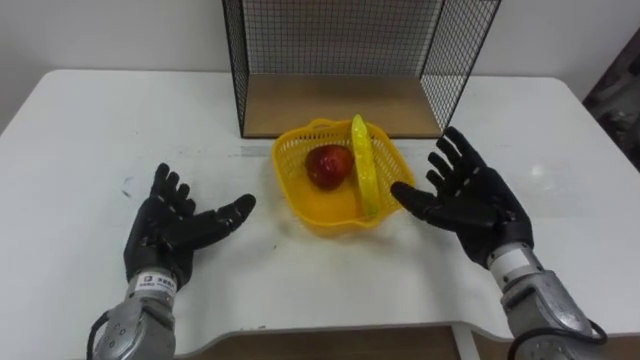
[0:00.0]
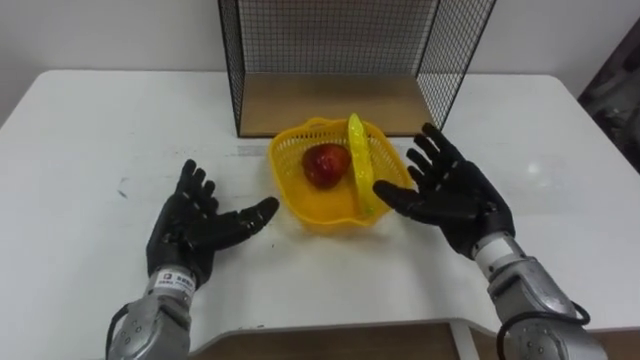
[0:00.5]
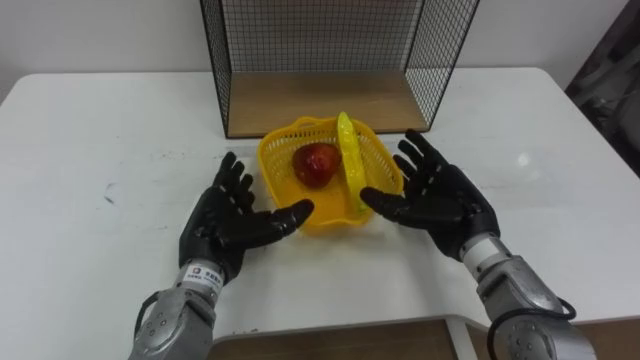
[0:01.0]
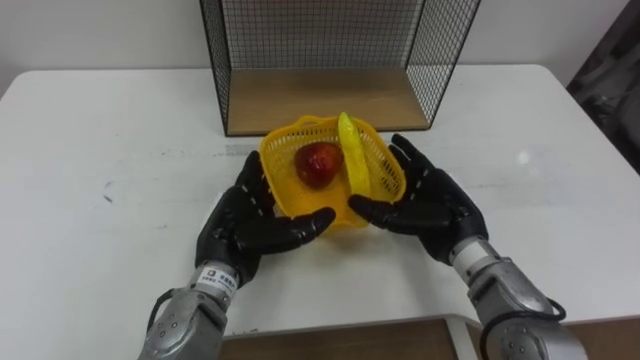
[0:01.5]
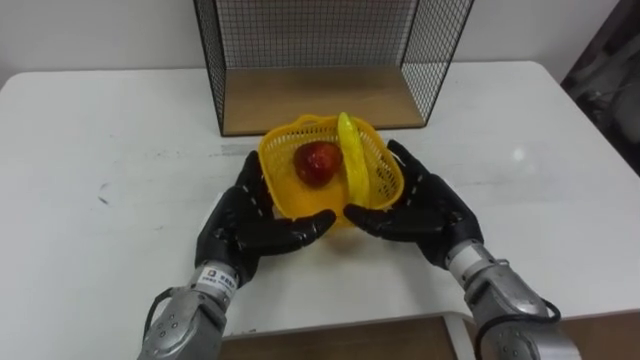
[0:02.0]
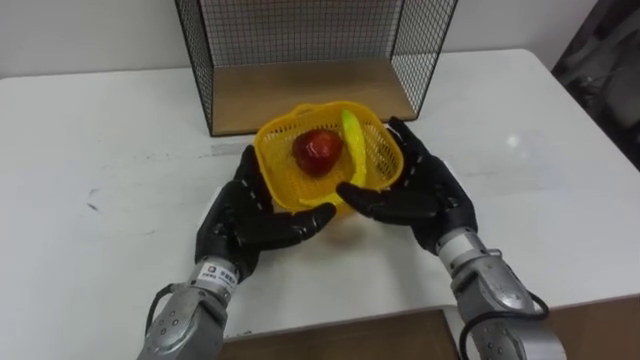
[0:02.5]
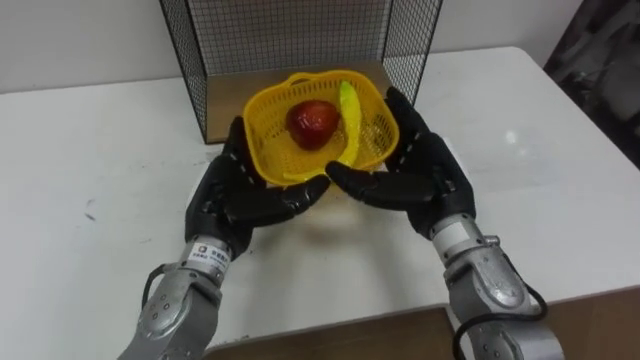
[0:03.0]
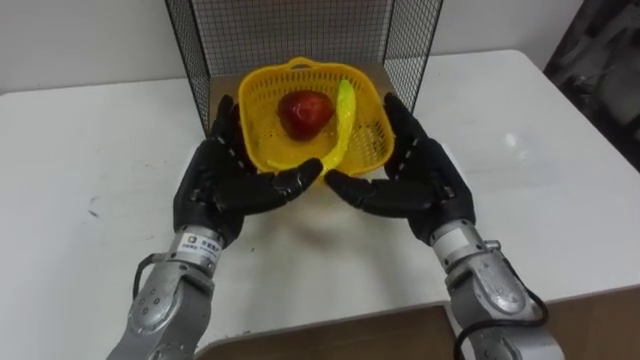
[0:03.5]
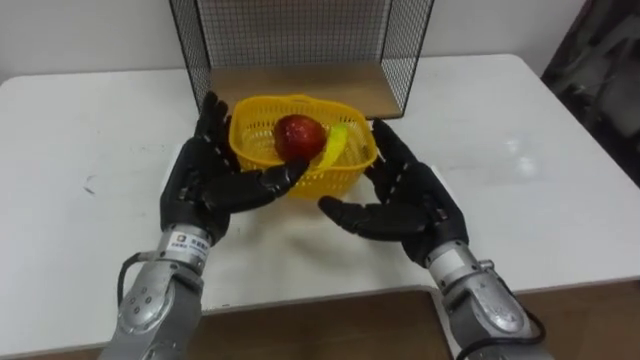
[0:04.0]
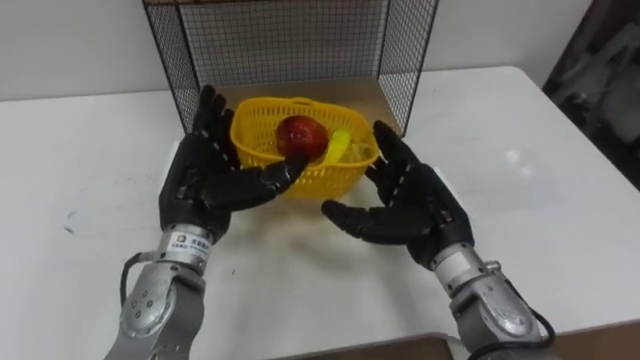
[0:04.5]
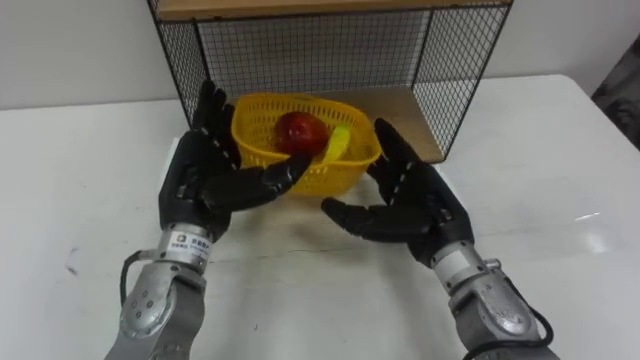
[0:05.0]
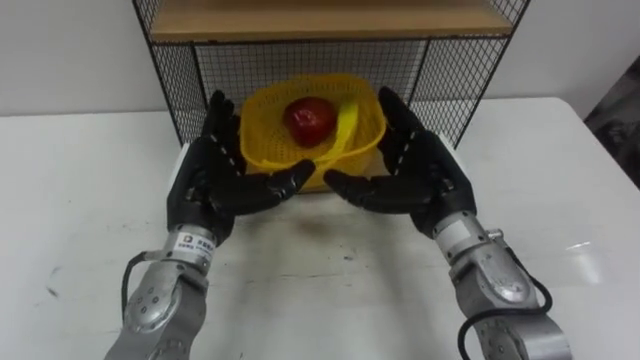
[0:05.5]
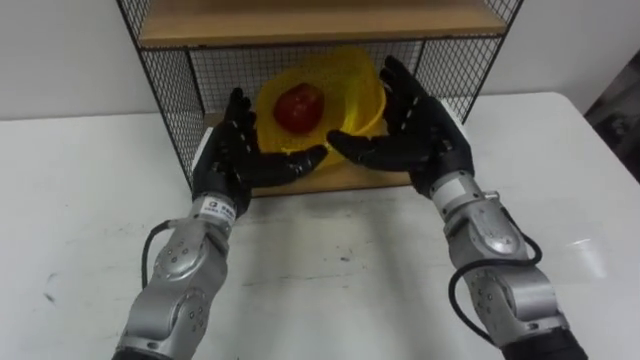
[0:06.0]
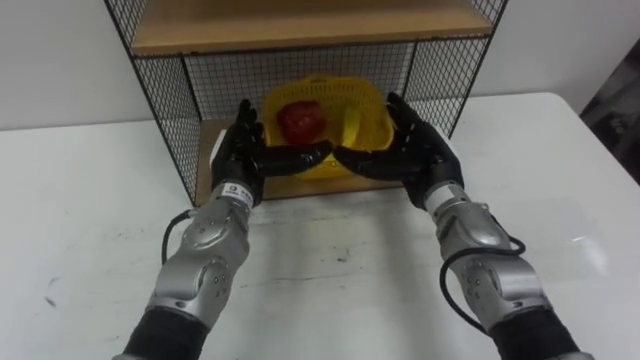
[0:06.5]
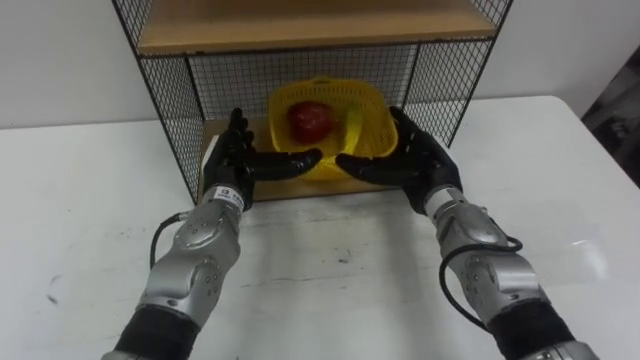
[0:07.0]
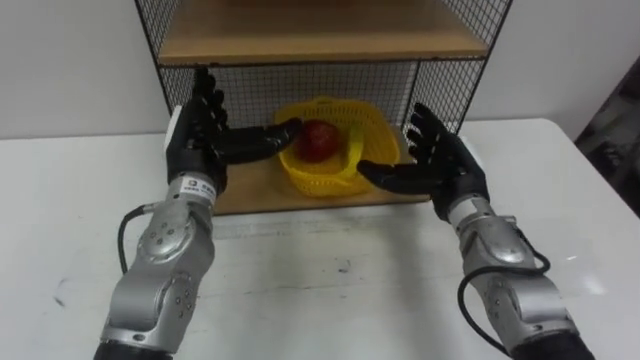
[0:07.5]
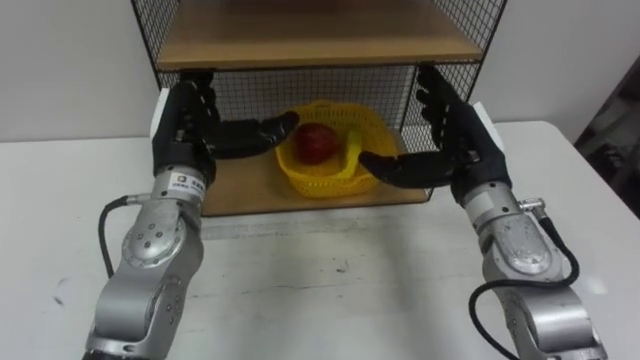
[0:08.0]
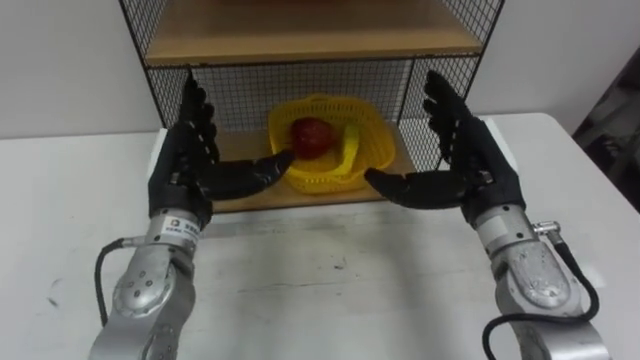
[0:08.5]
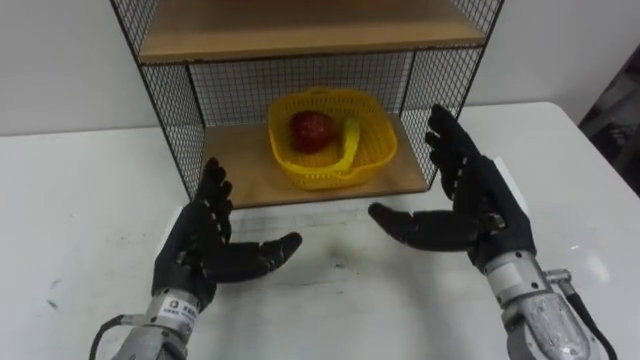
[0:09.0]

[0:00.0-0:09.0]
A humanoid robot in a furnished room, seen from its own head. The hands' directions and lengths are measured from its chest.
Task of the whole recording: Put the fruit on the table into the basket, then place the basket on the shelf.
0:00.0 to 0:02.0: The left hand travels to the right by approximately 10 cm. The right hand moves to the left, approximately 5 cm.
0:02.0 to 0:04.5: The left hand travels upward by approximately 5 cm; the right hand ends up some 5 cm from where it was.
0:04.5 to 0:07.0: The left hand travels forward and downward by approximately 10 cm, while the right hand goes about 10 cm forward.
0:07.0 to 0:09.0: The right hand shifts some 10 cm backward and upward. Meanwhile the left hand travels backward by approximately 10 cm.

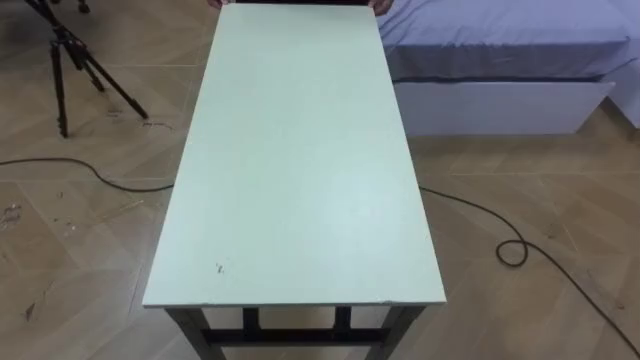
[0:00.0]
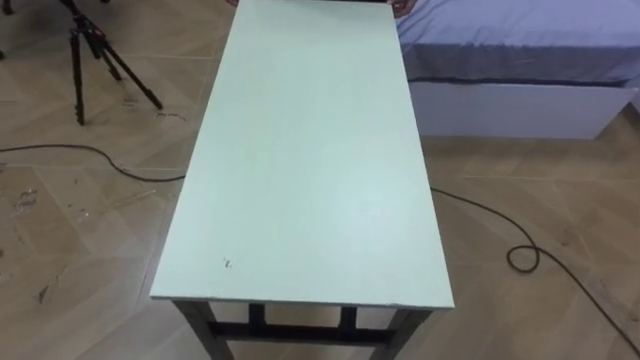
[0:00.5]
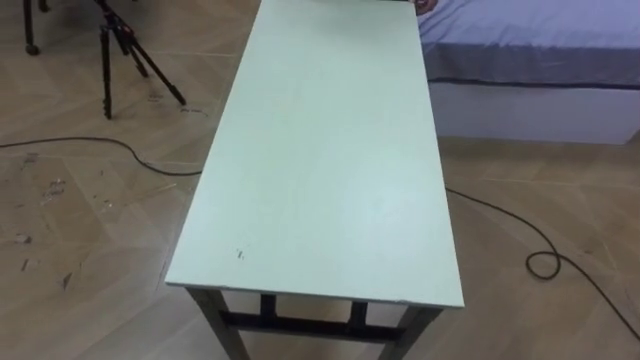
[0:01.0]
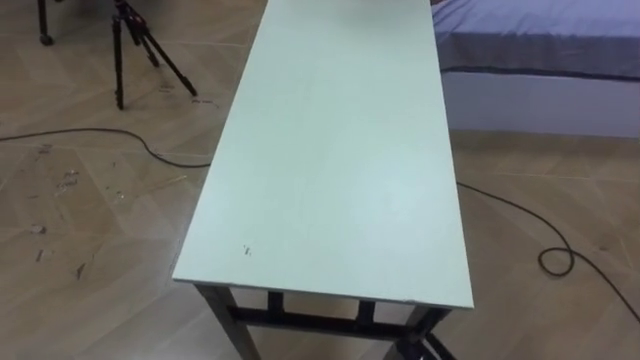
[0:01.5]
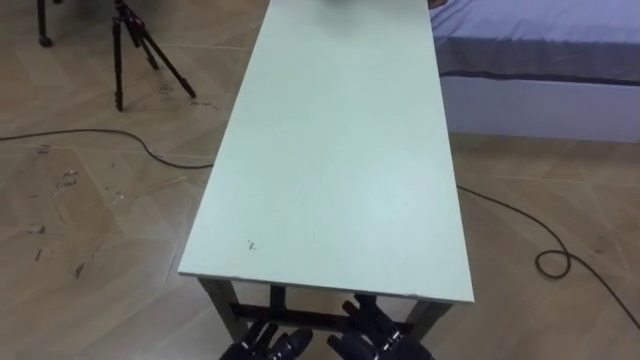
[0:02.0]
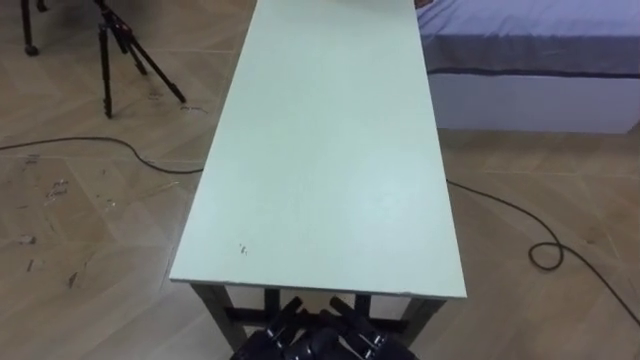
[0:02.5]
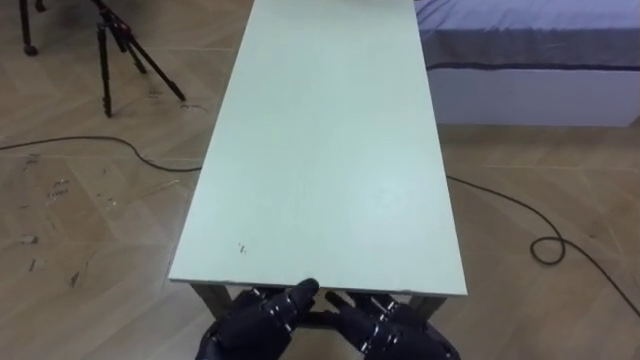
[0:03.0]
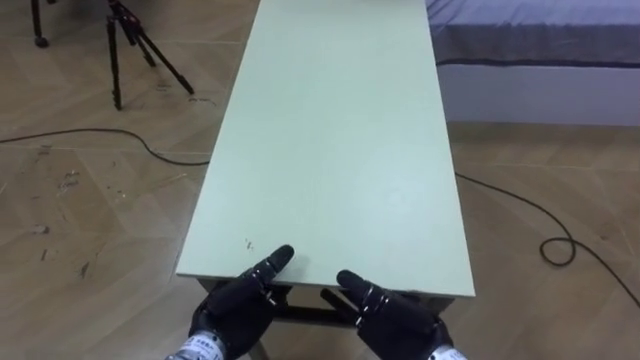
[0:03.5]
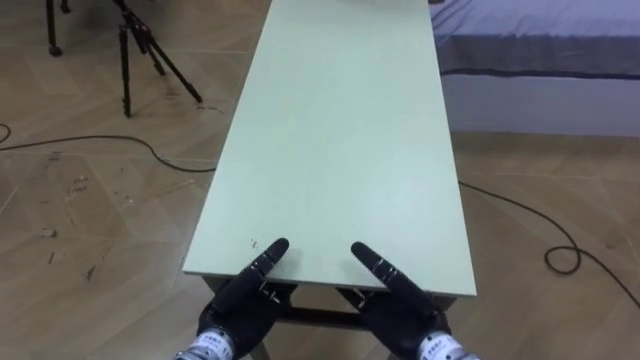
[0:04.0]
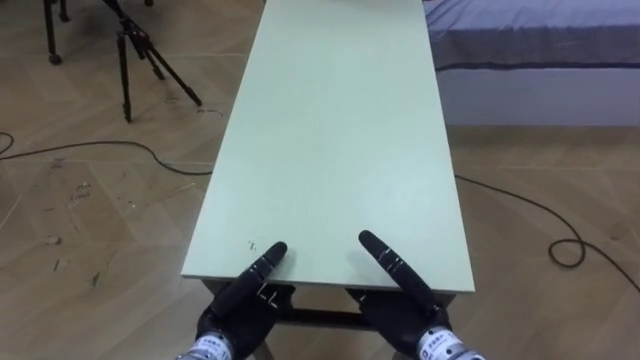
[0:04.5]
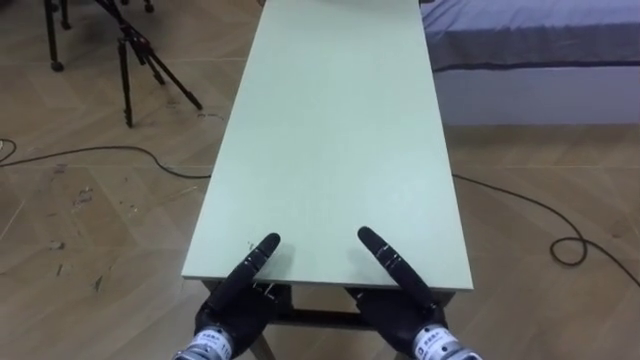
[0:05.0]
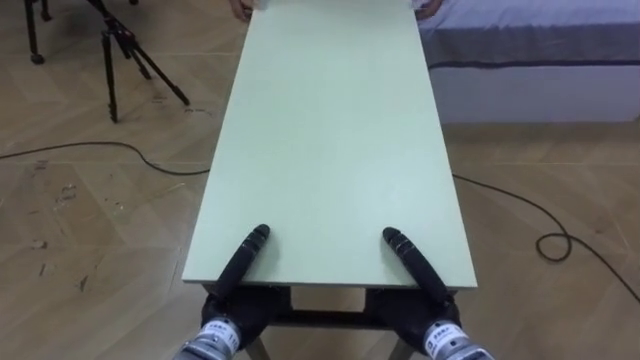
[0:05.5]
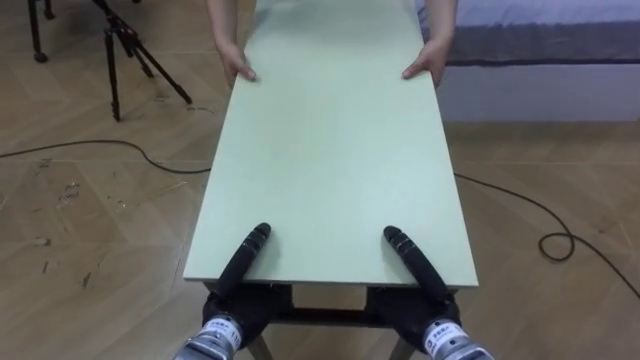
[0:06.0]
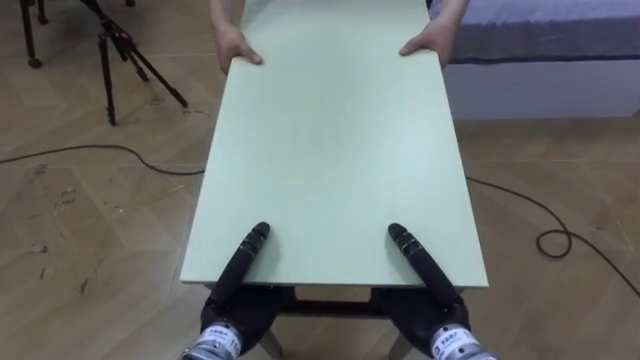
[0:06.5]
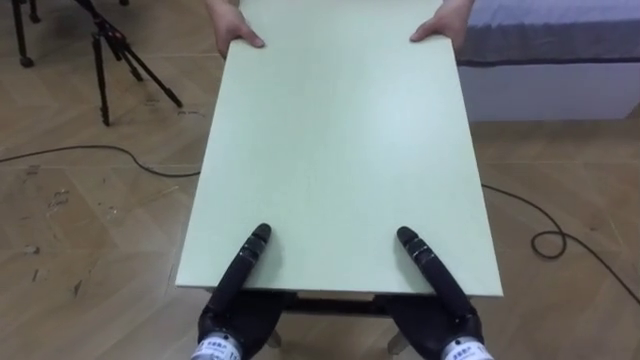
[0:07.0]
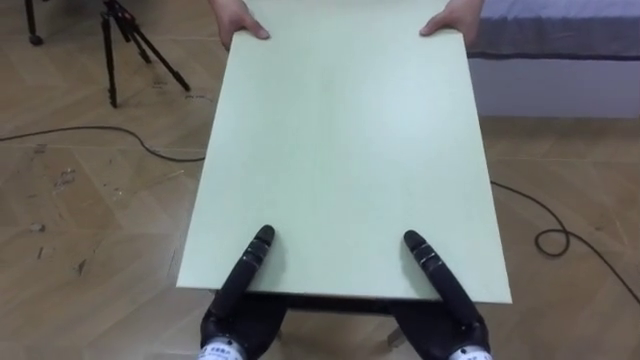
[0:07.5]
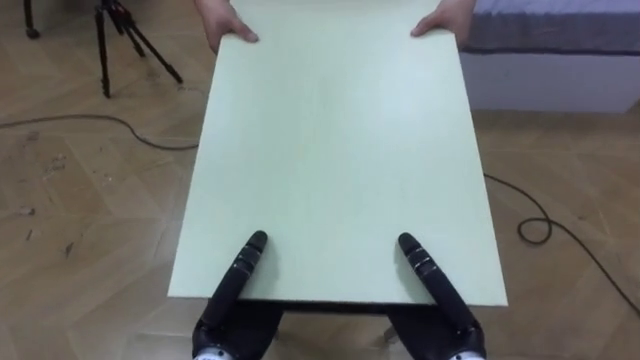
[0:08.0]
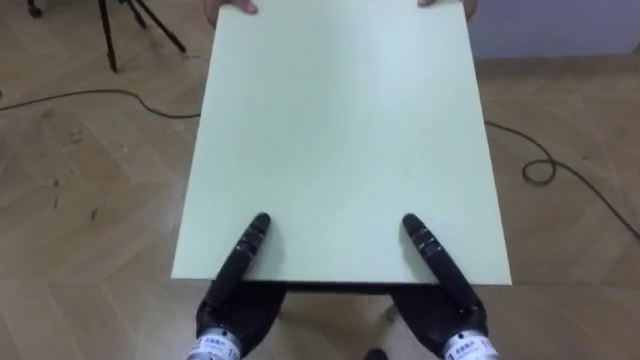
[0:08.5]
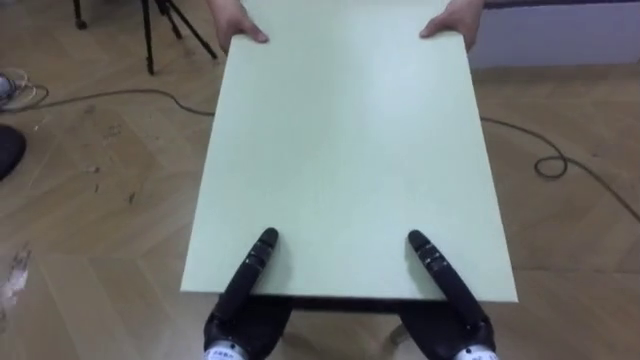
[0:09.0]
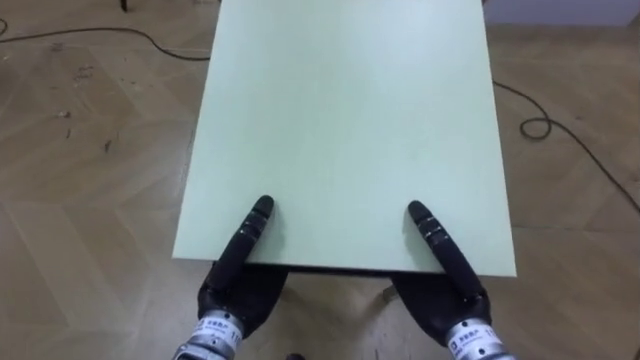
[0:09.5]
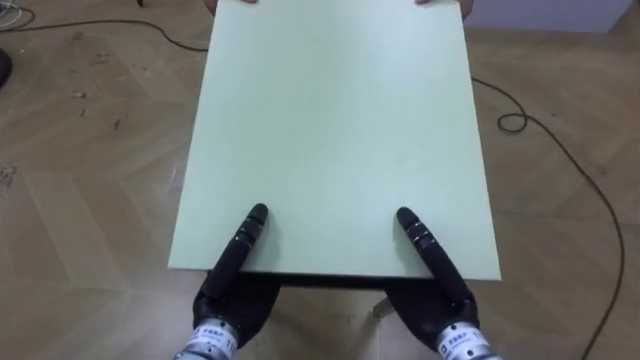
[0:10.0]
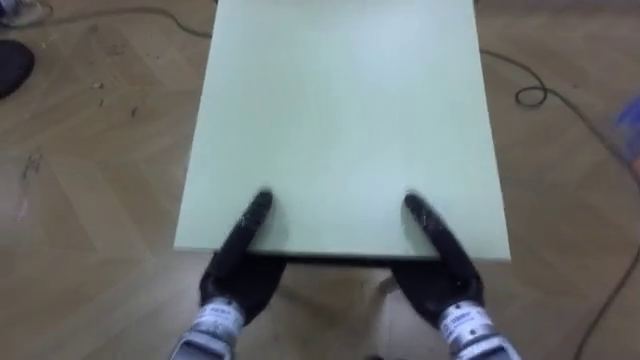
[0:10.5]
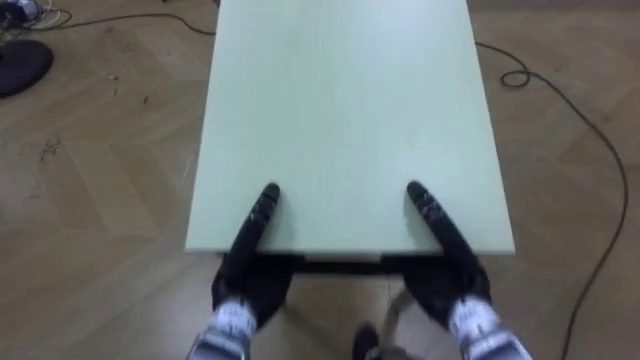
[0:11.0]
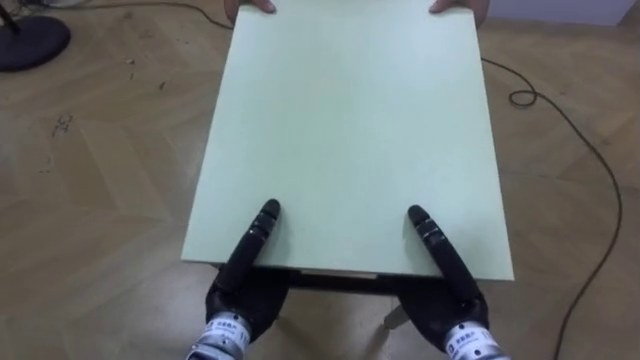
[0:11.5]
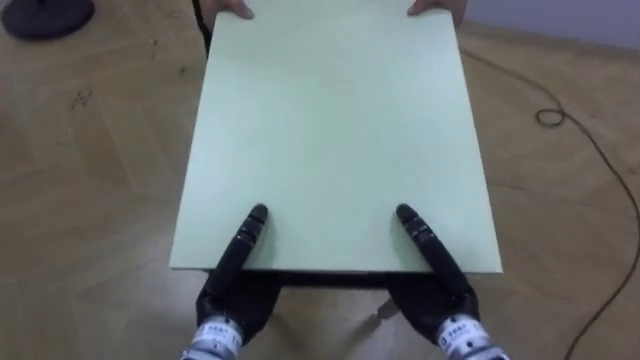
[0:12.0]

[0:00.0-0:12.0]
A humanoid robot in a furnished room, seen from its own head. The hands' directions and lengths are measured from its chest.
Task of the whole recording: Move the table to the back left with someone.
0:04.0 to 0:06.0: The left hand closes its fingers. The right hand closes up.
0:06.0 to 0:08.0: The left hand ends up some 5 cm from where it was. Meanwhile the right hand moves some 5 cm.
